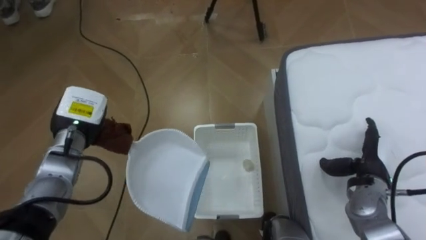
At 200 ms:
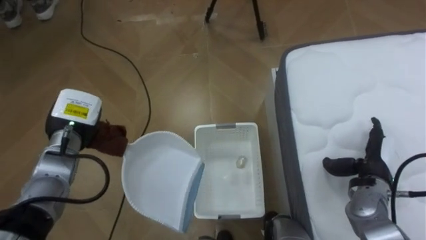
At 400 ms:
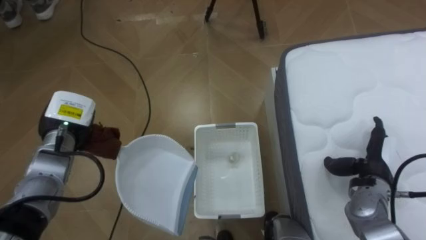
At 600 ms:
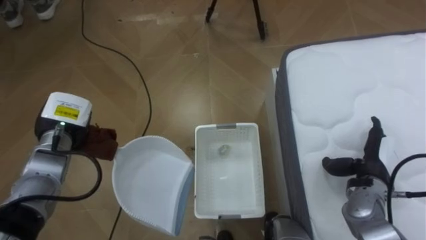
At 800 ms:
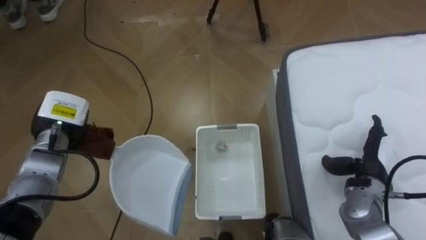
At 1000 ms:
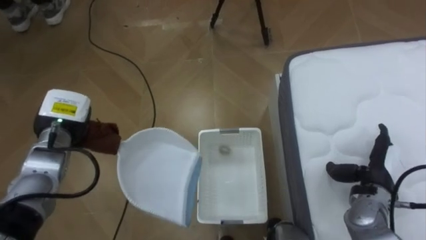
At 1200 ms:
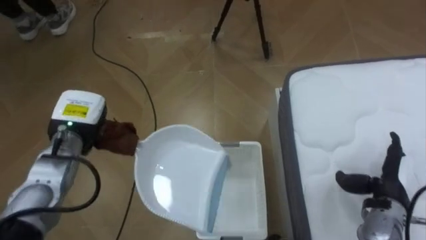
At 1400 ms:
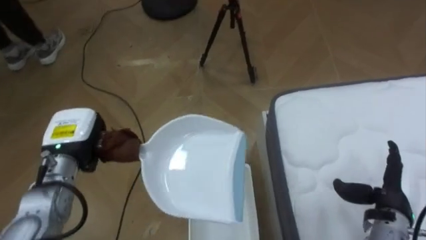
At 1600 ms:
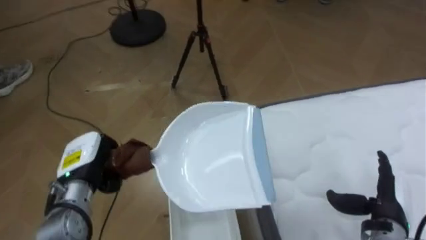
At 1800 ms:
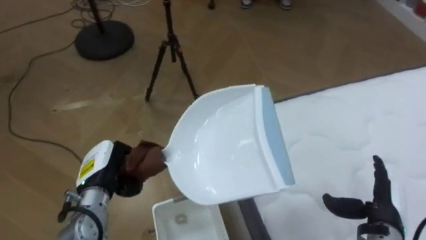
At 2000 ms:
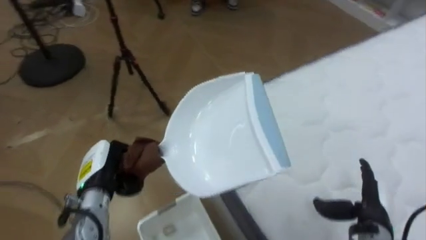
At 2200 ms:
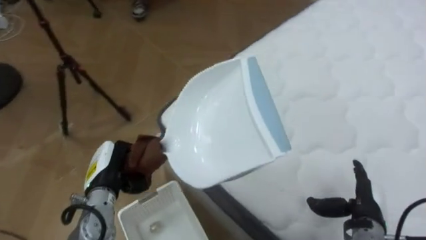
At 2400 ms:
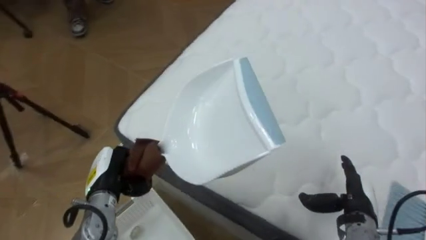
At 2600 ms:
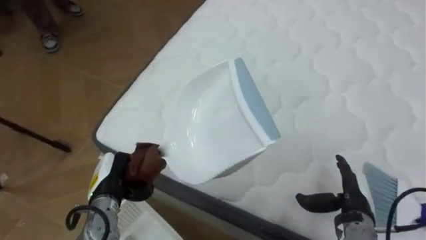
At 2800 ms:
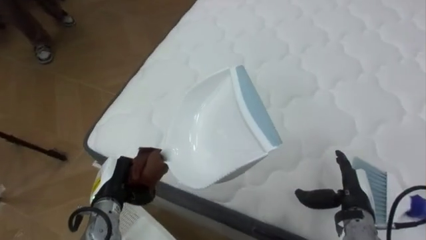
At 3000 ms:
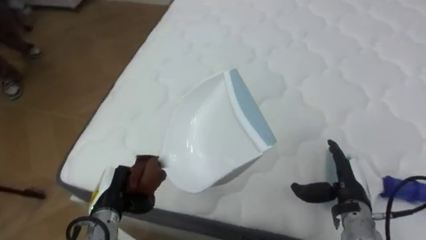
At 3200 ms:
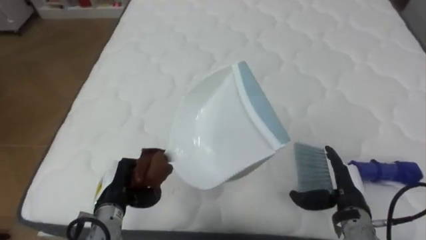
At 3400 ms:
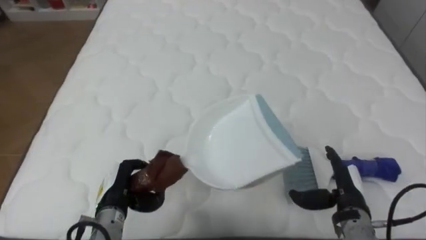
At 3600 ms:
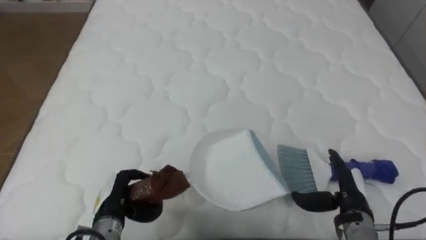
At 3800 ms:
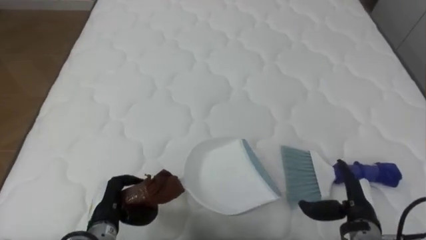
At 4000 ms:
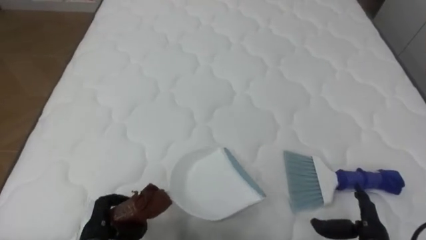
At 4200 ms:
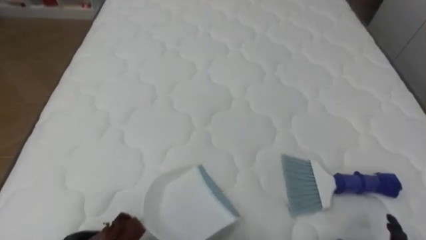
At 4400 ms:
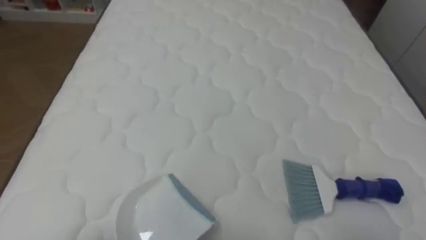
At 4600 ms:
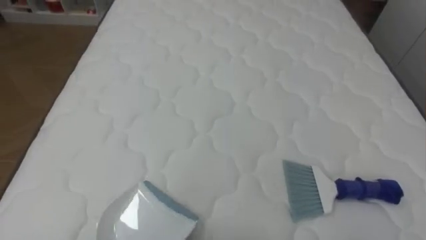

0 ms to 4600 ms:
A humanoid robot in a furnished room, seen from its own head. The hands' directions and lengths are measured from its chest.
Task of the whole recording: Pick up the brush on your right and the dustpan on your left. Use the brush to sweep the crumpled paper on the bed into the dustpan, then turn left and empty it into the basket.
0 ms to 1600 ms: Both hands travel together backward, some 10 cm.
1600 ms to 3000 ms: The robot turns to its right by about 65 degrees. The left hand shifts about 5 cm downward. Meanwhile the right hand heads to the left, covering roughly 5 cm.

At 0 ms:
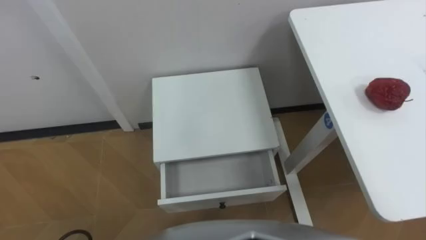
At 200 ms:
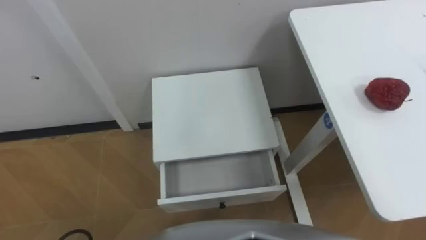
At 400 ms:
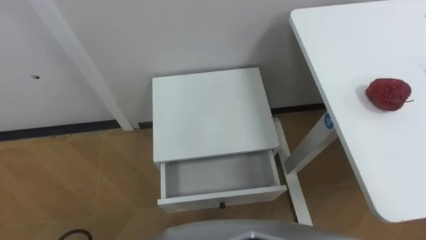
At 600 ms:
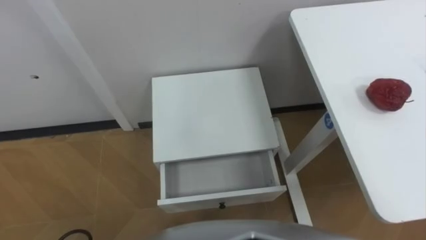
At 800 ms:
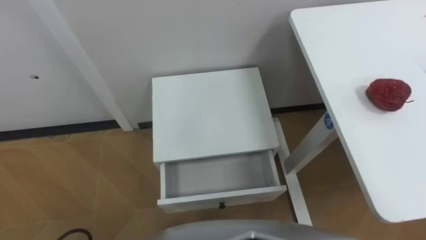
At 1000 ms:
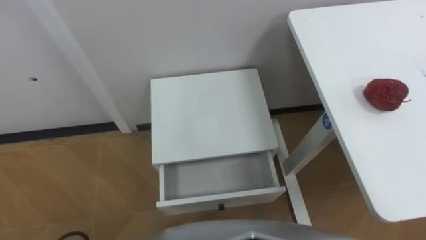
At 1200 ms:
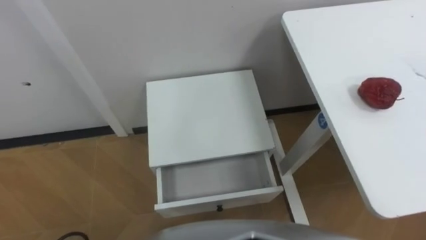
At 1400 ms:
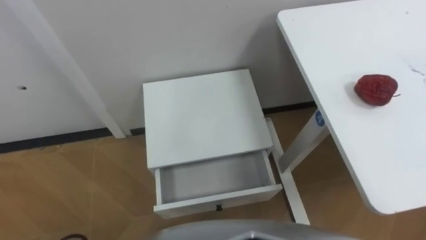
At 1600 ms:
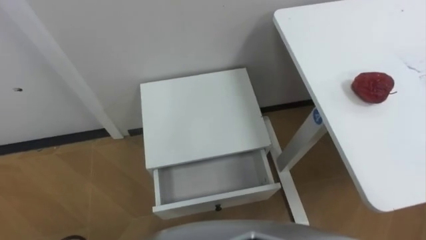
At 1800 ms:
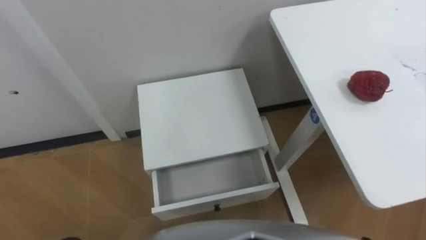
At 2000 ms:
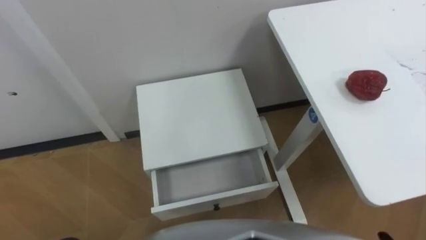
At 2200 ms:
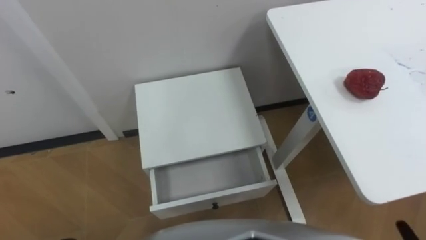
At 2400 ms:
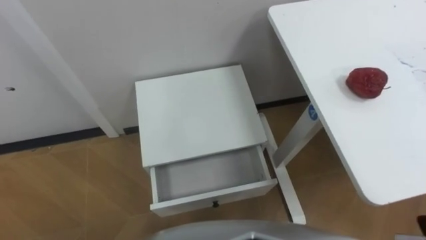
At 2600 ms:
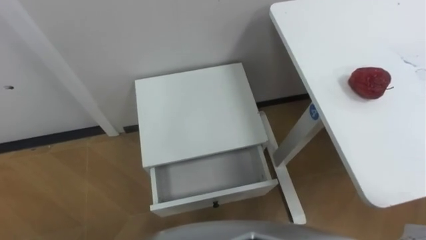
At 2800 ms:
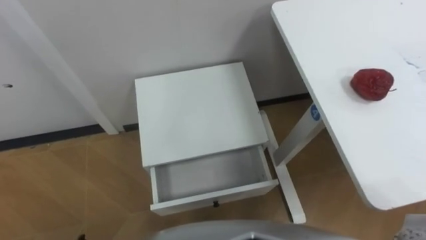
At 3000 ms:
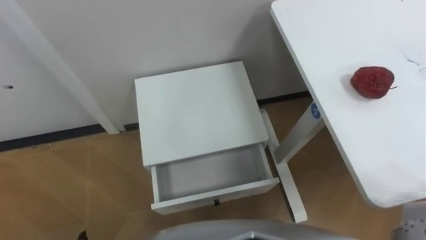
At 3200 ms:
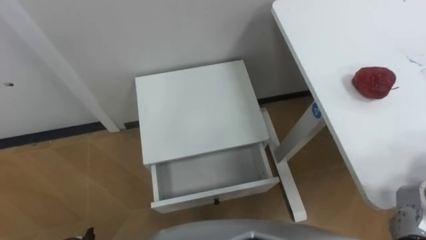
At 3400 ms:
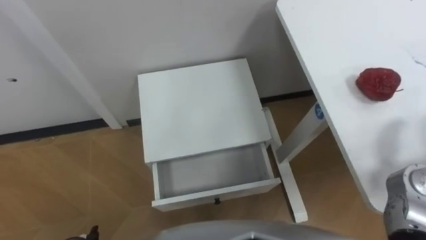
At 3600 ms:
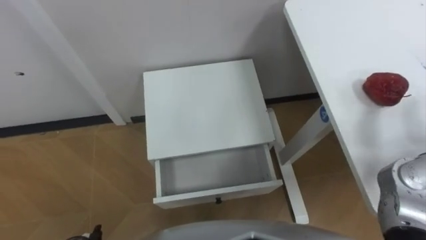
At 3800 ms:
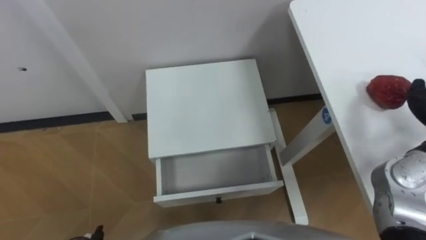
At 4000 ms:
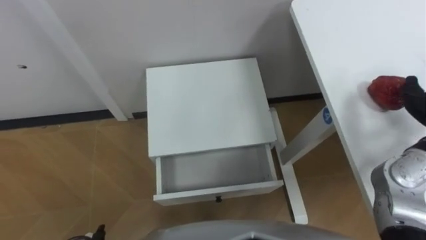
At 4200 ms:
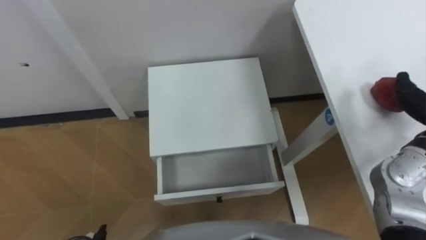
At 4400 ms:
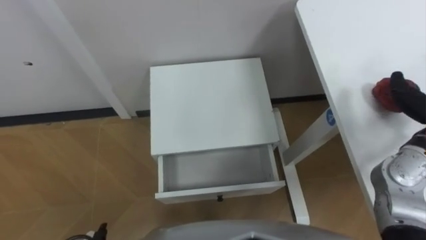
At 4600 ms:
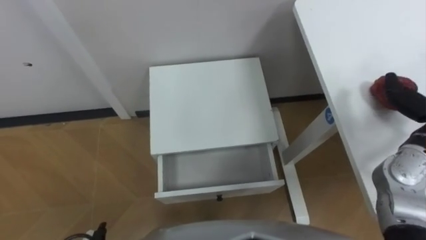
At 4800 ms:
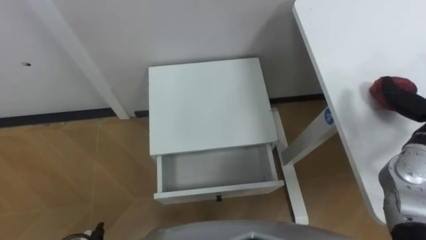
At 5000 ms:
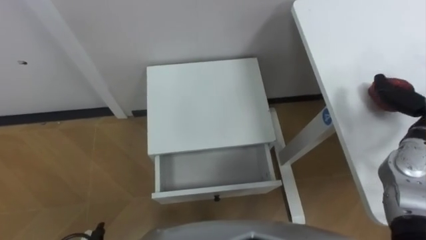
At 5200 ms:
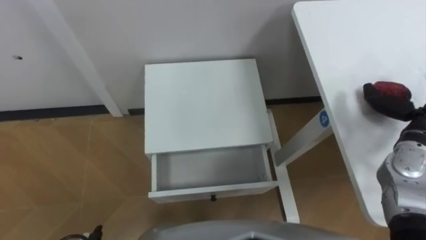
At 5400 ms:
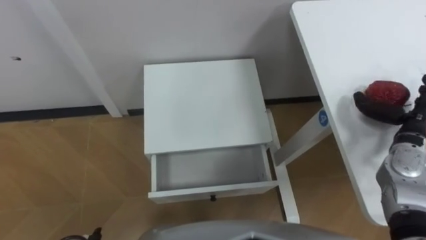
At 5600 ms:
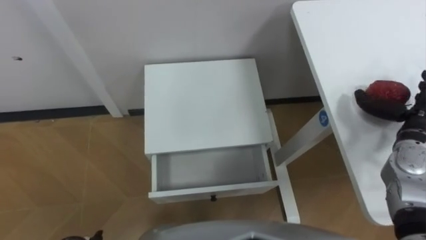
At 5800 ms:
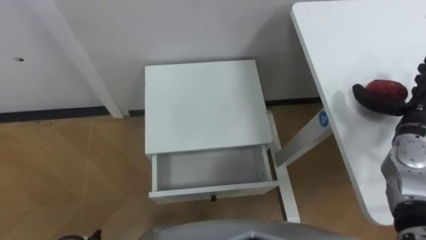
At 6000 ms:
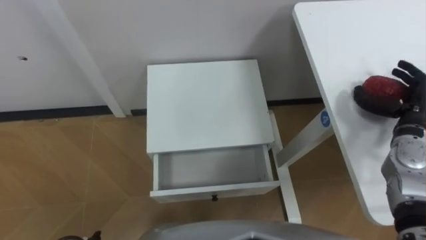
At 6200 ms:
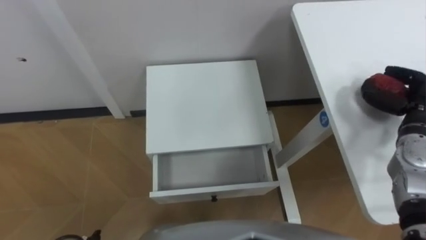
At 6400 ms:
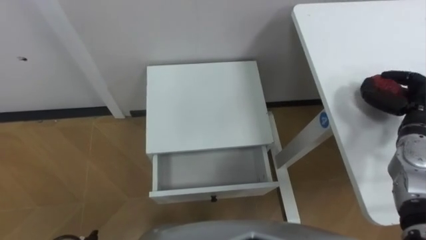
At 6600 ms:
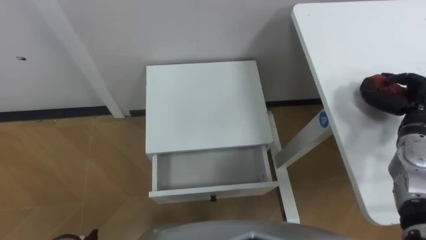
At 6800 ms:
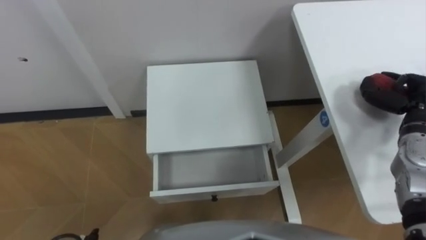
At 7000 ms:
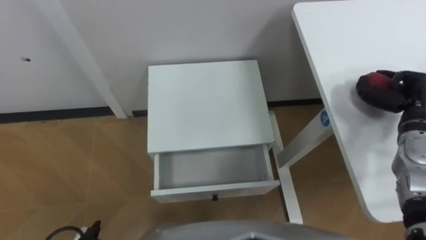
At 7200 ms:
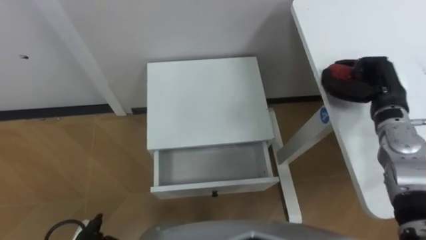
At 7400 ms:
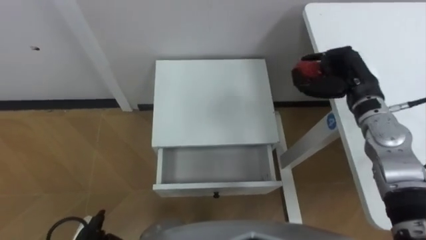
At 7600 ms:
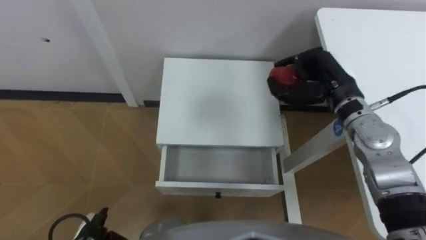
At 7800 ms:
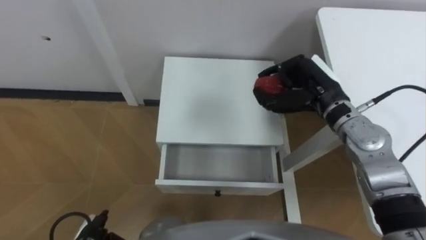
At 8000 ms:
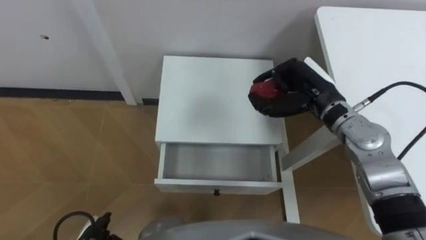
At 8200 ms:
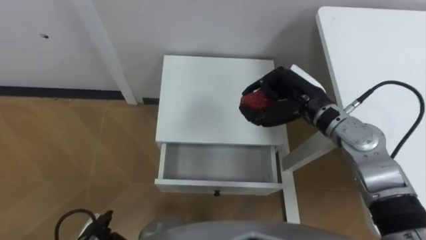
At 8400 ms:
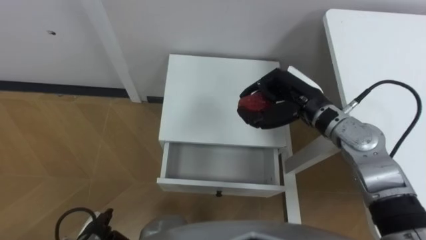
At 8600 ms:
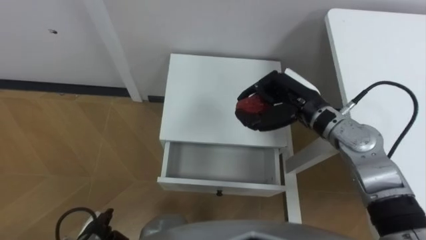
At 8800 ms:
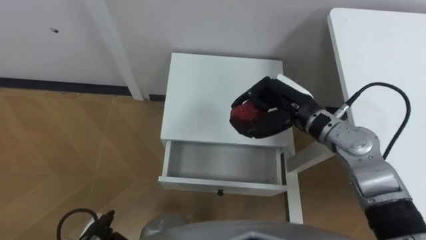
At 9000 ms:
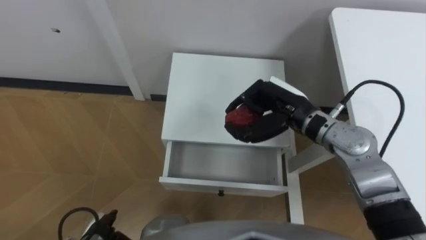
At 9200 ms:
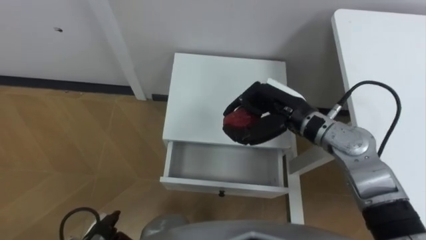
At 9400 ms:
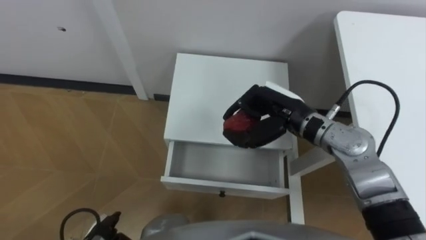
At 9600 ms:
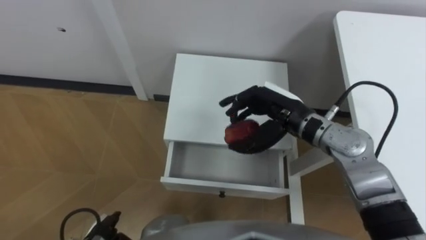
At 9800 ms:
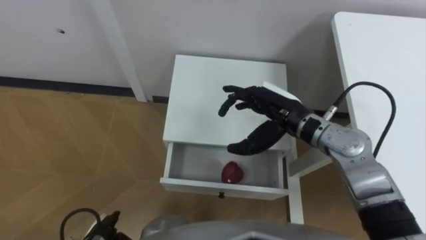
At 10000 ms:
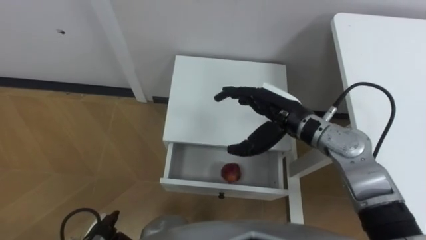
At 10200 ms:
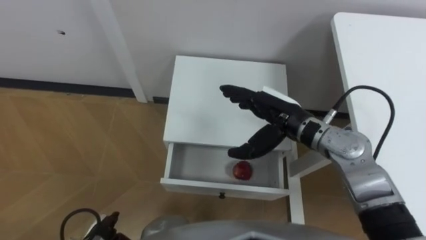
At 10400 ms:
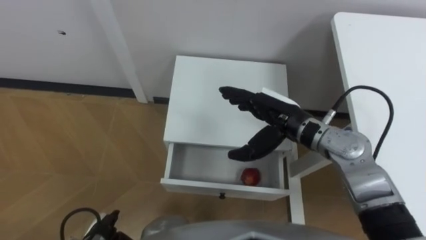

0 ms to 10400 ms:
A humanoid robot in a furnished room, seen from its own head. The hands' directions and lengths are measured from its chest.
Task of the whole recording: Pick up the apple from the table, put it in the drawer, and close the drawer with leg.
6000 ms to 7400 ms: The right hand heads to the left and forward, covering about 10 cm, and closes up.
7400 ms to 9000 ms: The right hand shifts approximately 15 cm to the left.
9000 ms to 10400 ms: The right hand opens its fingers.

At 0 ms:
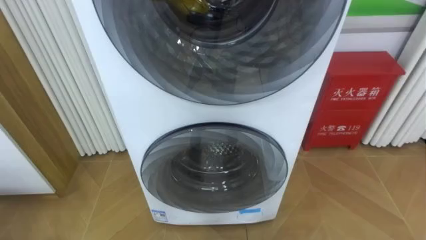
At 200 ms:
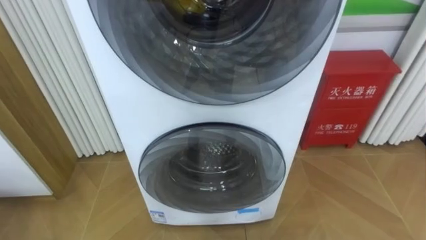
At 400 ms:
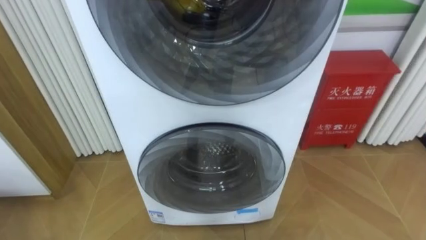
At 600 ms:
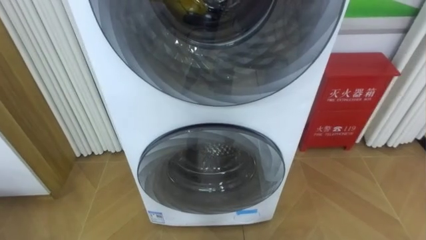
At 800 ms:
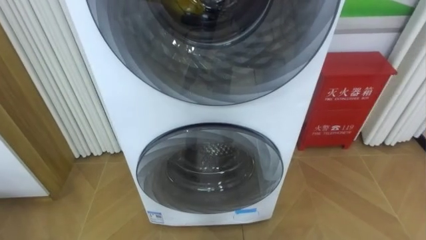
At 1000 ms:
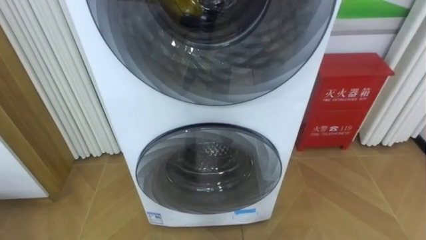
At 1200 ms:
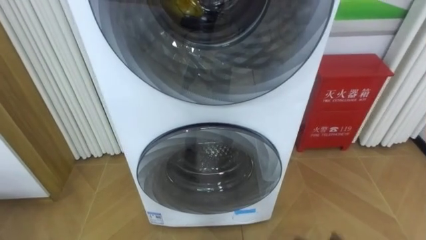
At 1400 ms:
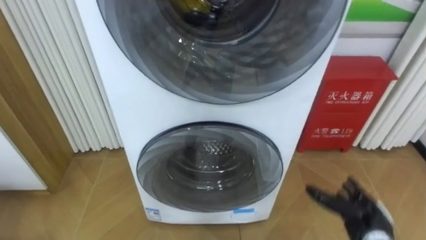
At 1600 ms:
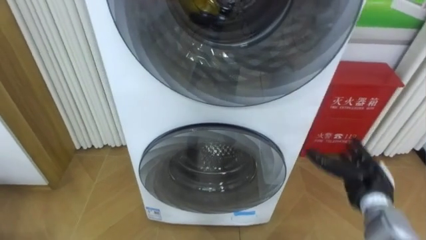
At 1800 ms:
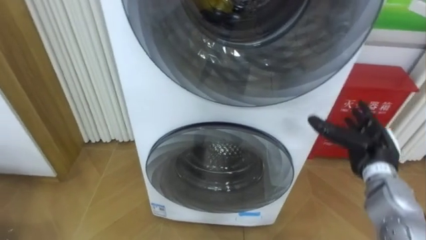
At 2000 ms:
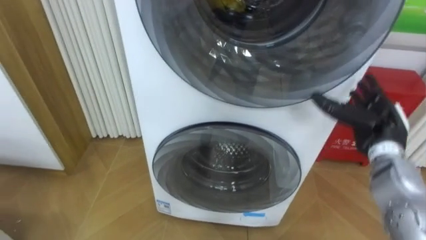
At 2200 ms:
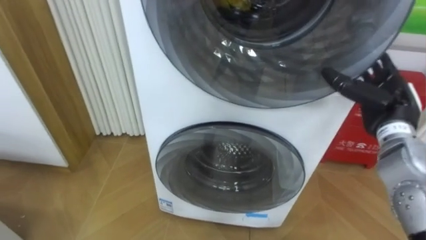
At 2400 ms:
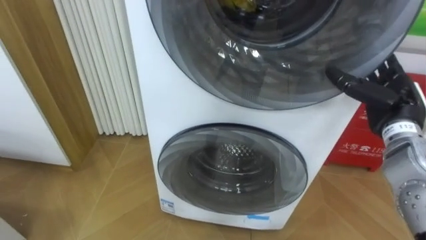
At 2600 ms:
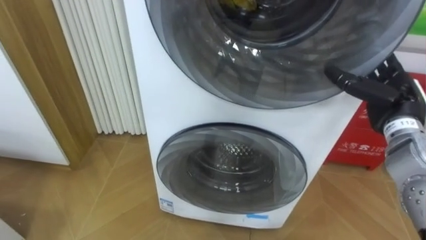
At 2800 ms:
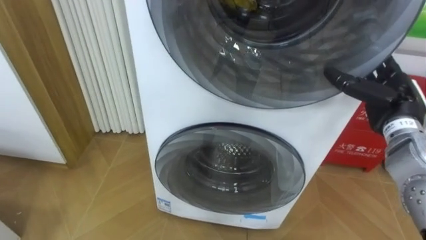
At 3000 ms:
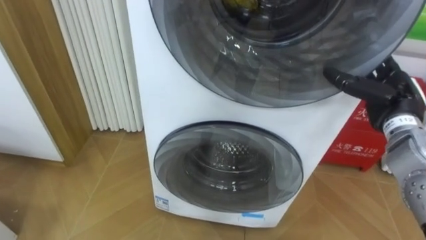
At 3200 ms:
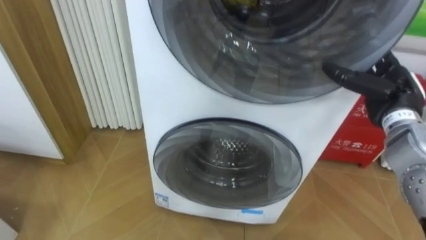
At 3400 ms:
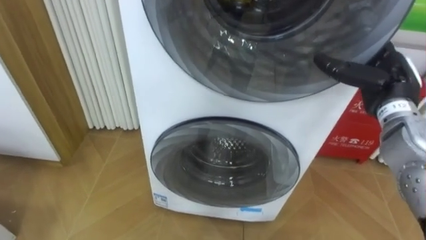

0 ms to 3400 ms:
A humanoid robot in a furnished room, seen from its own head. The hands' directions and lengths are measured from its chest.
Task of the whole recording: Open the washing machine door, take out the yellow clothes, place them in the box on the right, and close the washing machine door.
1600 ms to 3400 ms: The right hand is displaced upward by roughly 20 cm.
